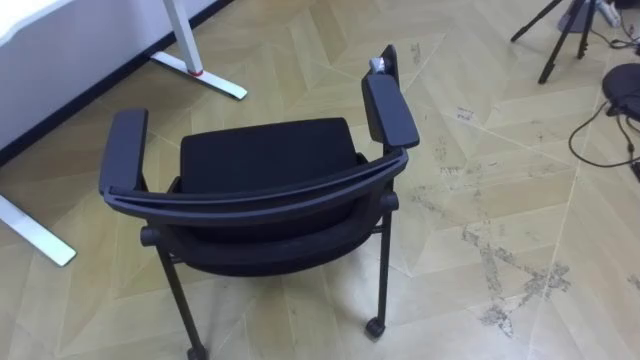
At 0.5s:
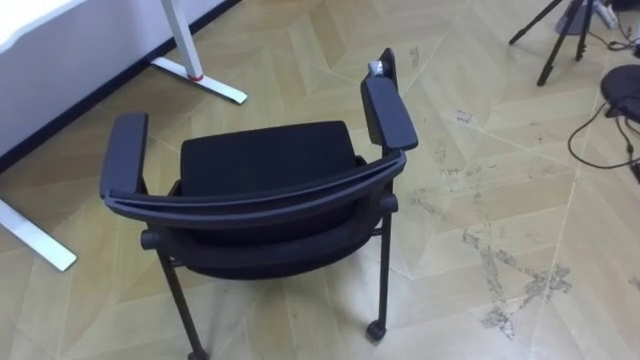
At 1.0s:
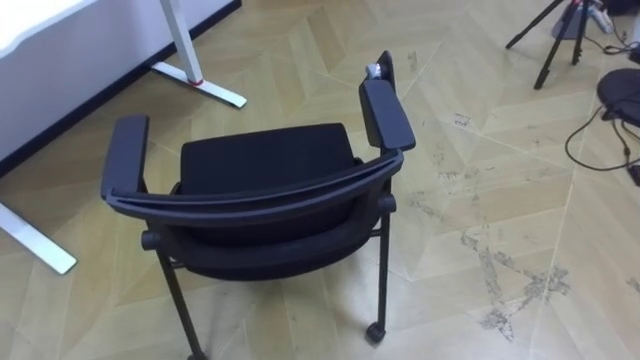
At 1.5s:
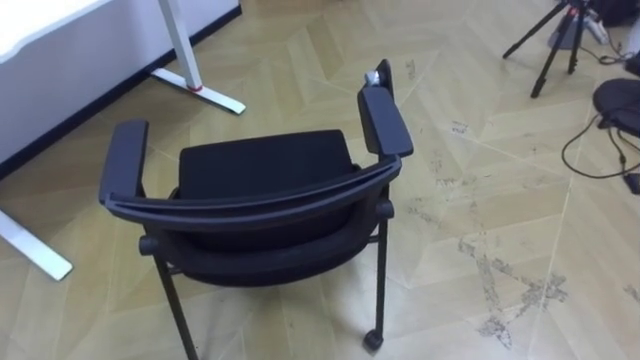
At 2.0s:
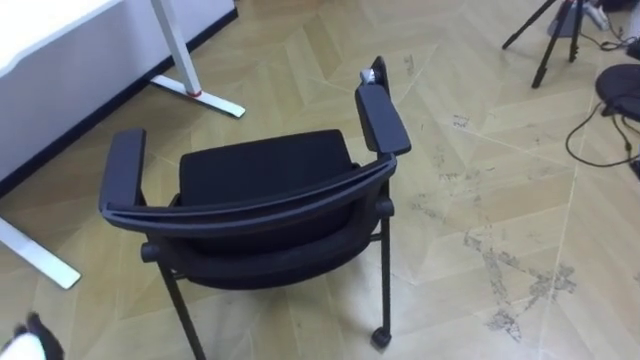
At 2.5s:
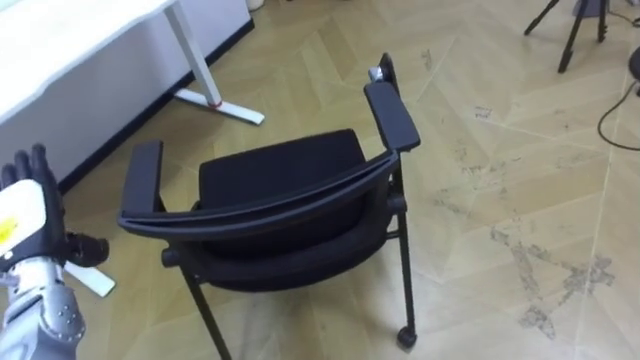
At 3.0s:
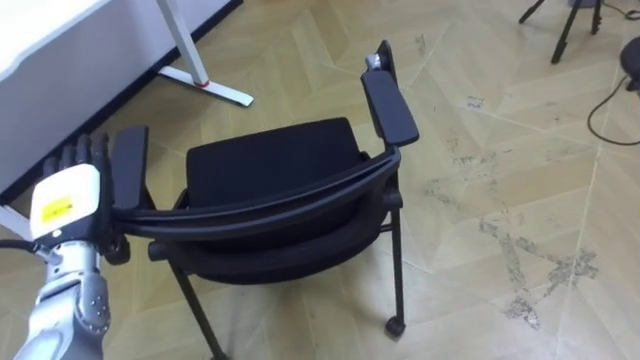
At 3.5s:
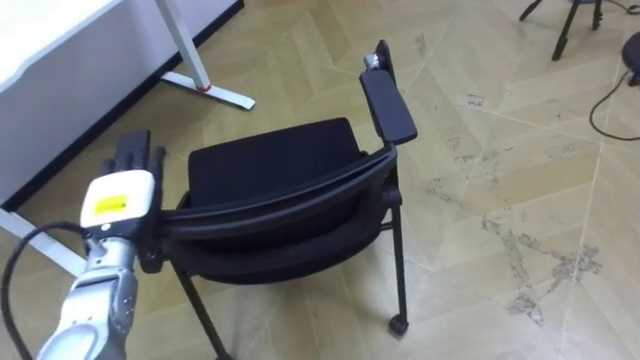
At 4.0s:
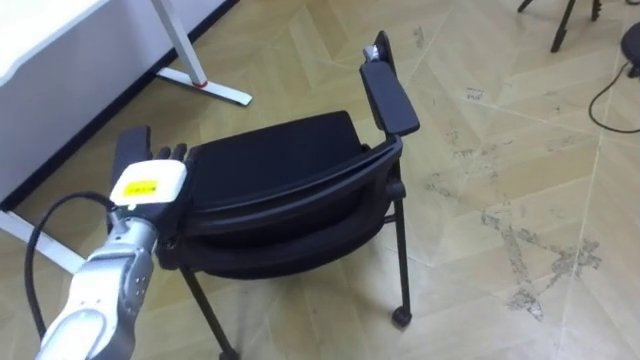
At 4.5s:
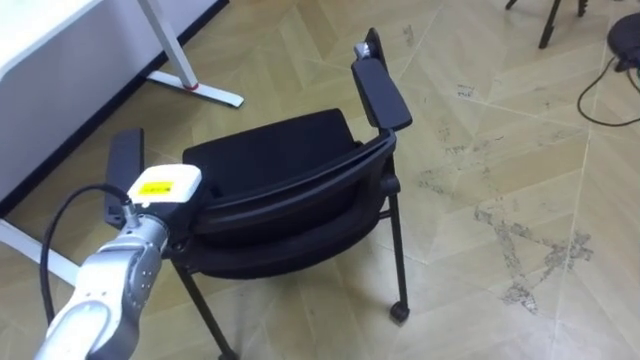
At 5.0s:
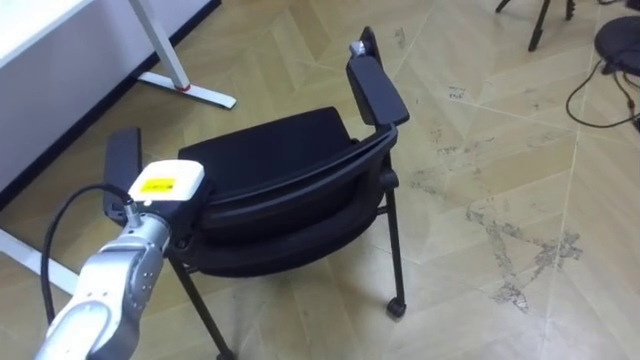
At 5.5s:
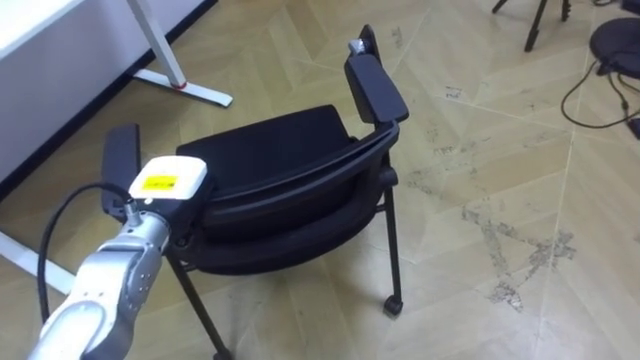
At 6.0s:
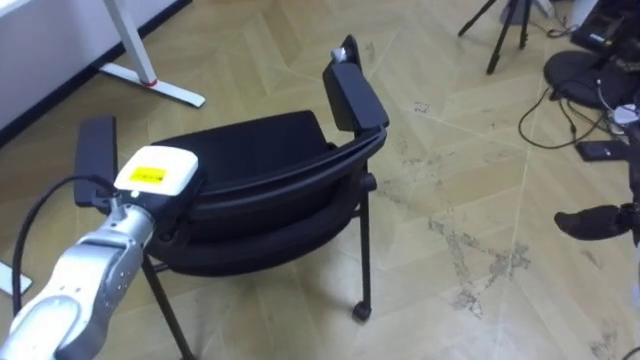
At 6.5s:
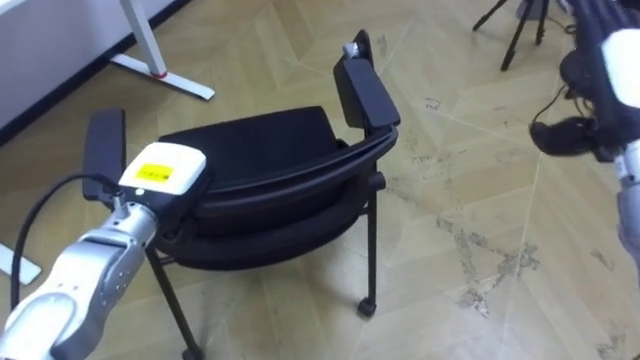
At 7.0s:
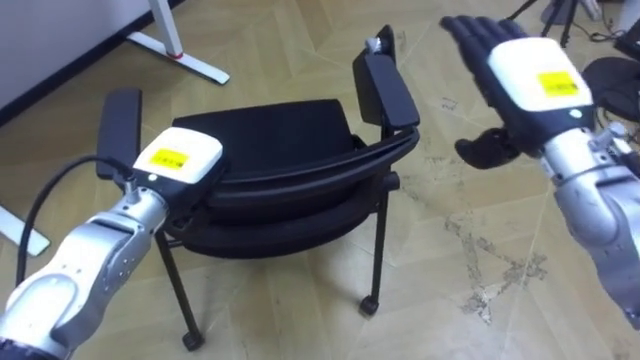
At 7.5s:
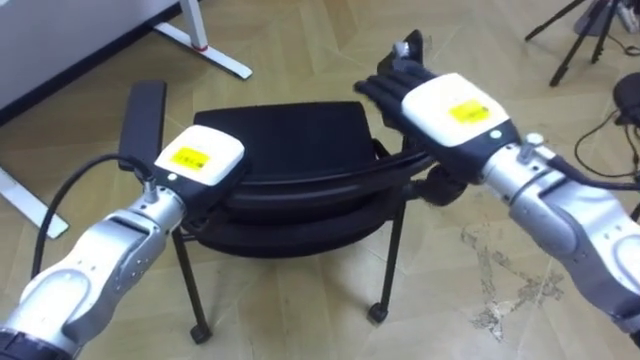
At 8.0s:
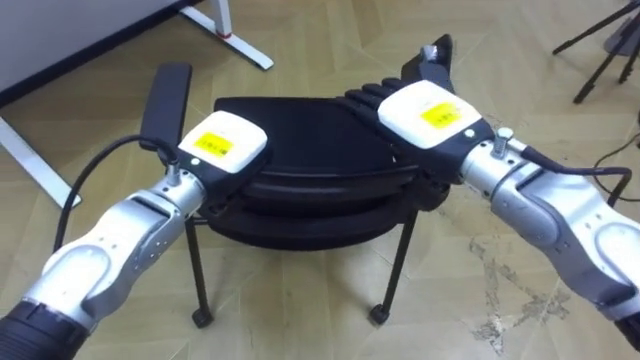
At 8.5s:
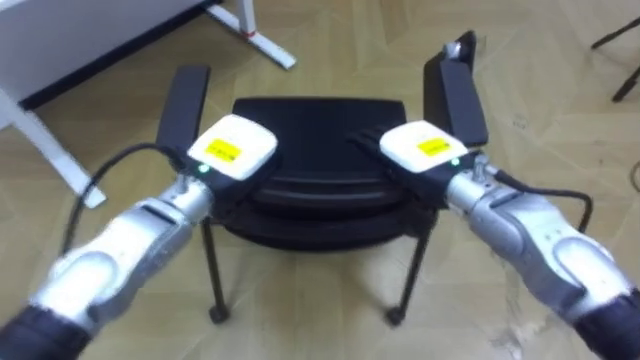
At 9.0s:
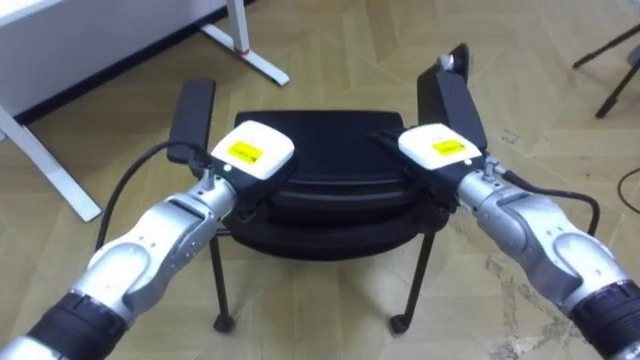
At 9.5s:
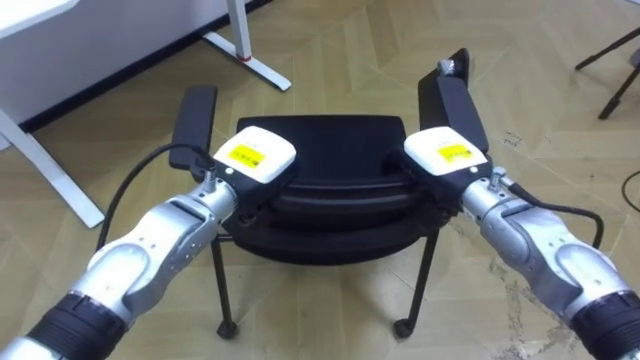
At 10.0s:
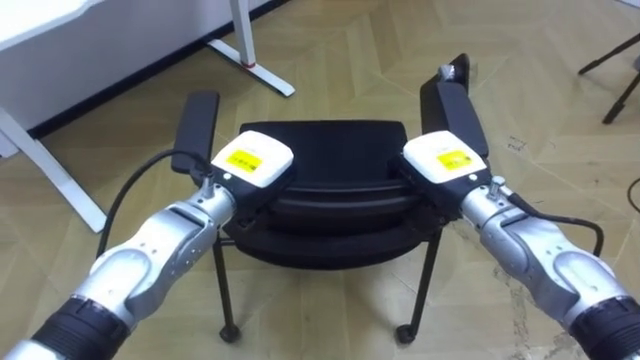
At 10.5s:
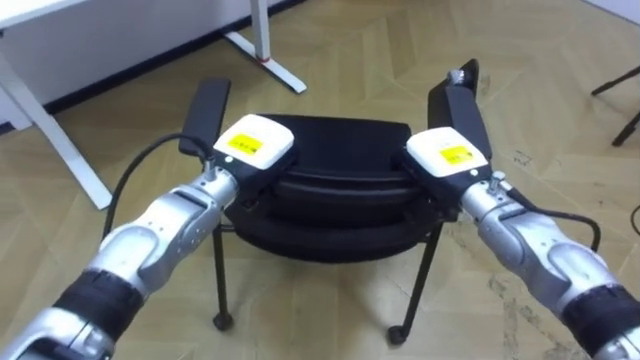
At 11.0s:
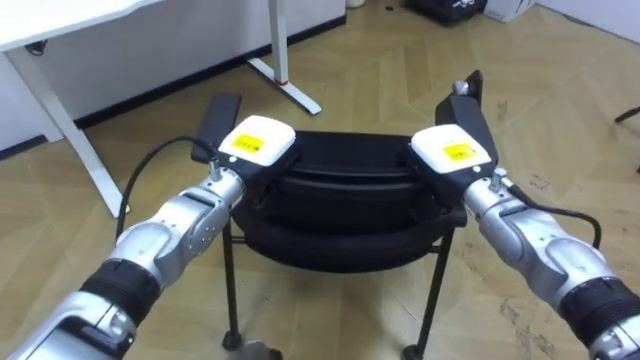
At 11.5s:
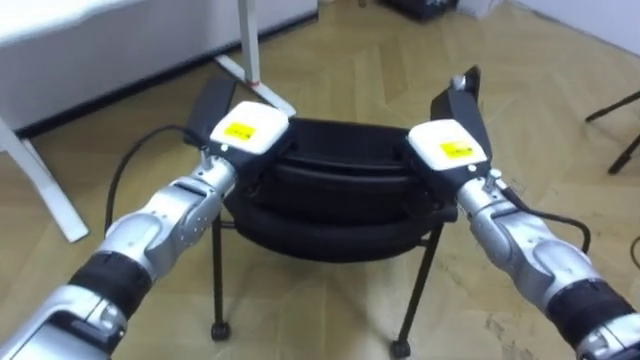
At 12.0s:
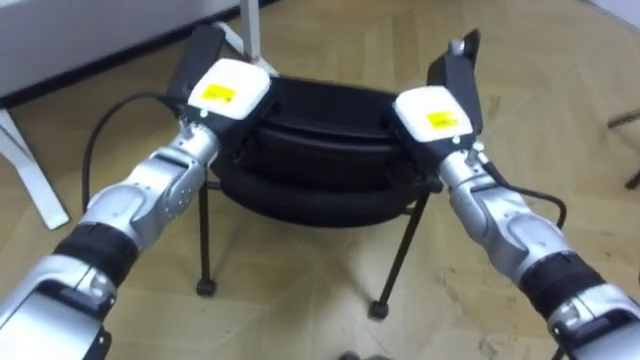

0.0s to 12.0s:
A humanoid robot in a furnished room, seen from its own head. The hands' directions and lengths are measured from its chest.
Task of the whole recording: Push the chair under the table.
4.0s to 6.0s: The left hand closes its fingers.
6.0s to 8.0s: The left hand is displaced to the right by about 10 cm.
8.0s to 10.0s: The right hand heads downward, covering some 10 cm, and closes.
10.0s to 12.0s: The right hand changes place by roughly 5 cm. Meanwhile the left hand is displaced forward by about 5 cm.

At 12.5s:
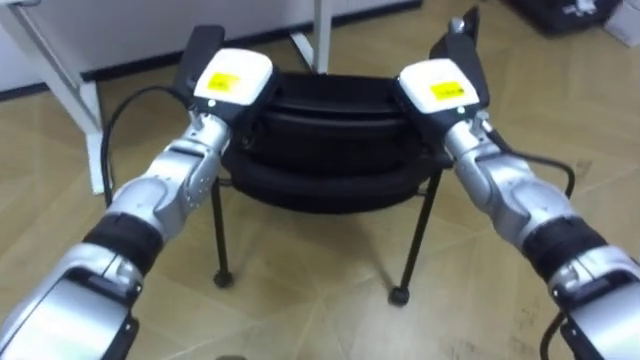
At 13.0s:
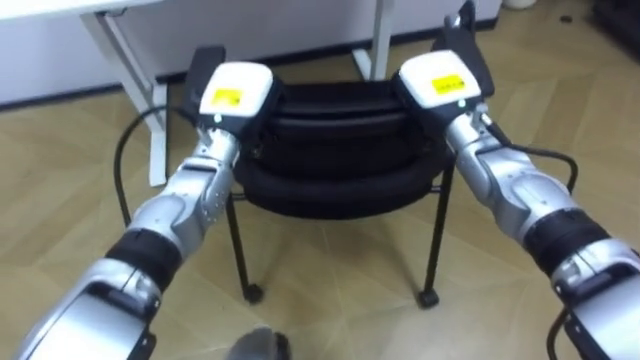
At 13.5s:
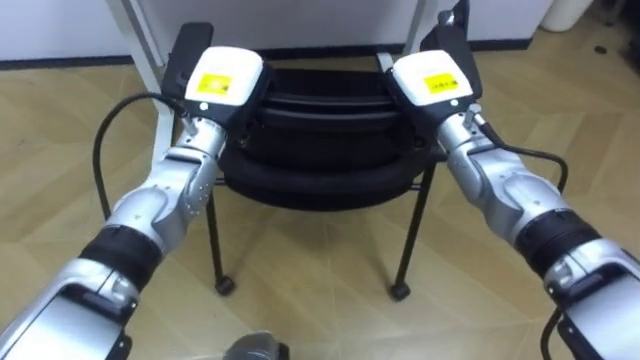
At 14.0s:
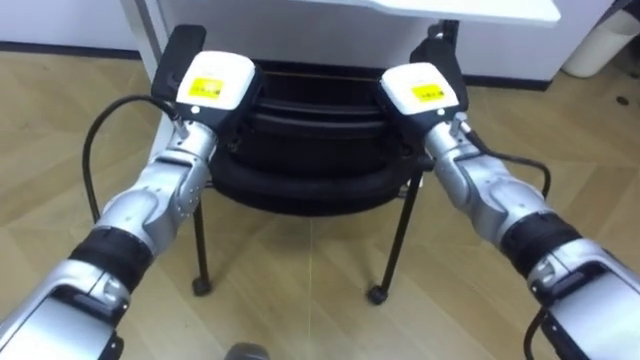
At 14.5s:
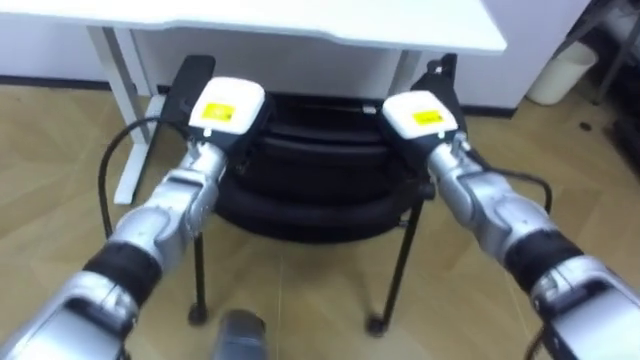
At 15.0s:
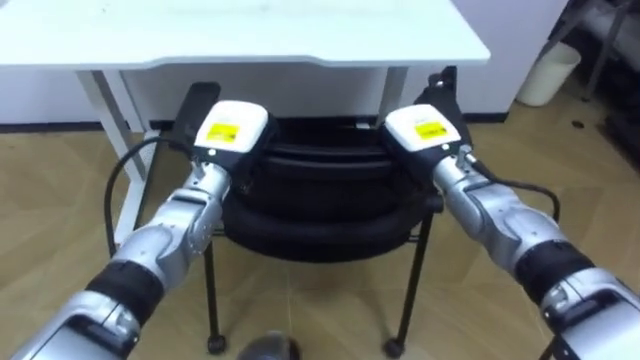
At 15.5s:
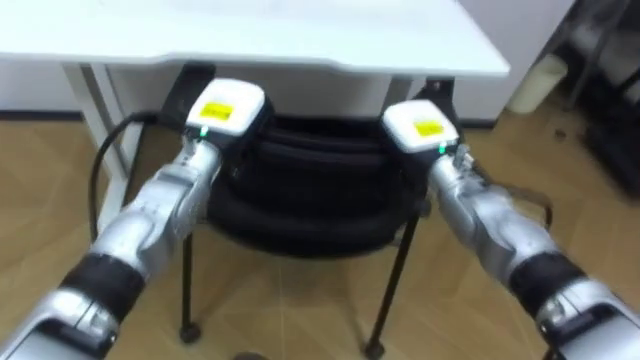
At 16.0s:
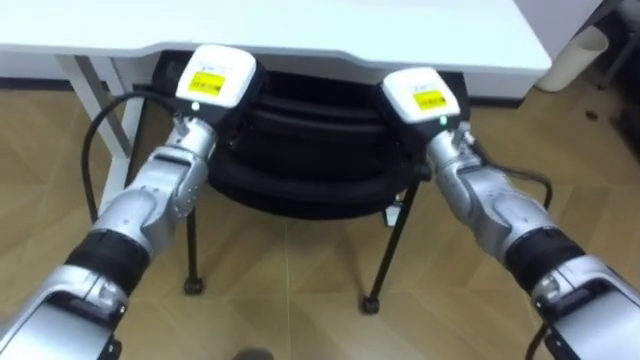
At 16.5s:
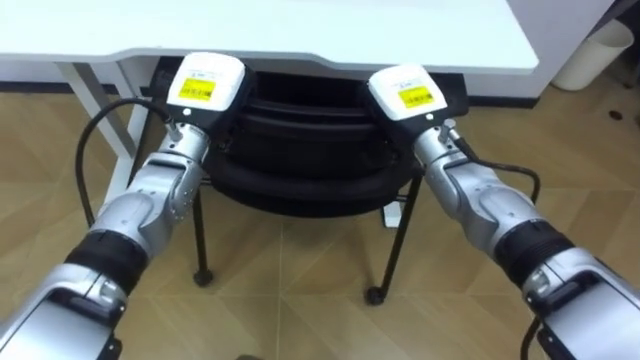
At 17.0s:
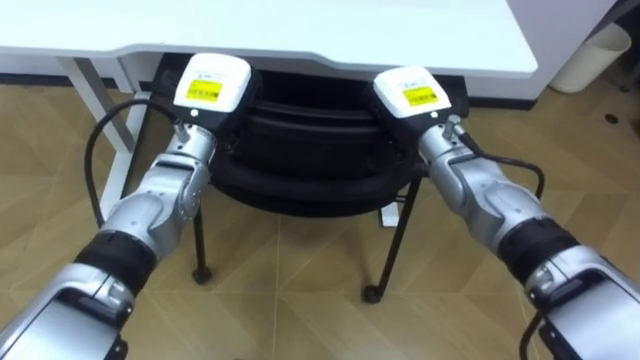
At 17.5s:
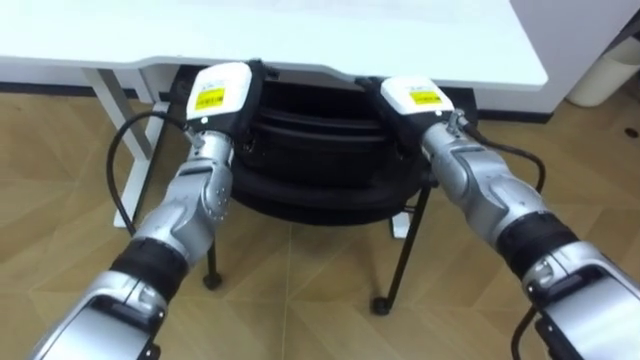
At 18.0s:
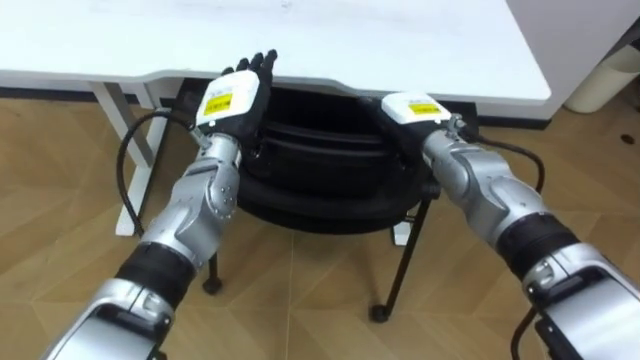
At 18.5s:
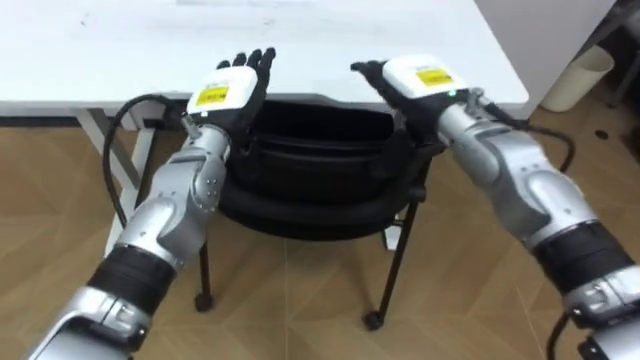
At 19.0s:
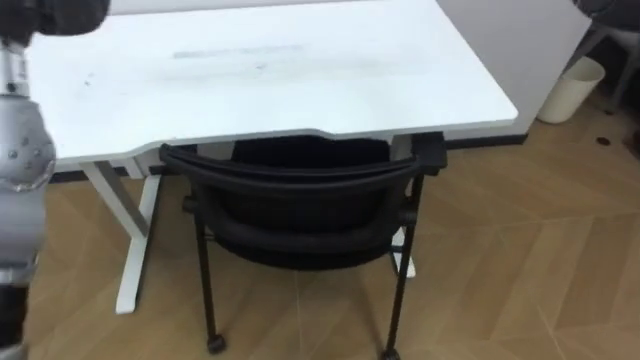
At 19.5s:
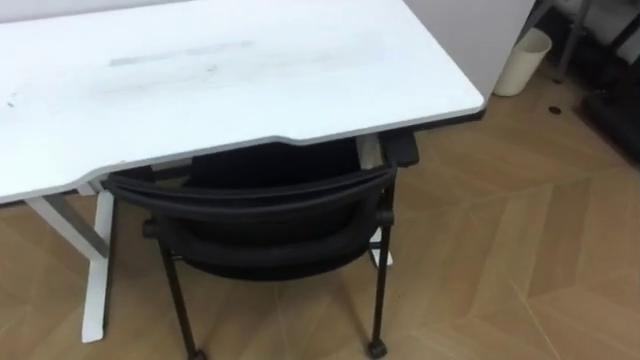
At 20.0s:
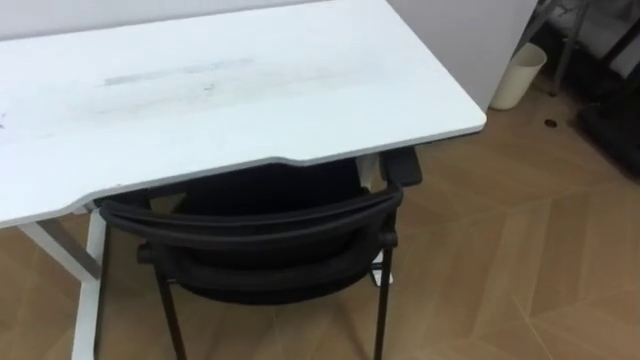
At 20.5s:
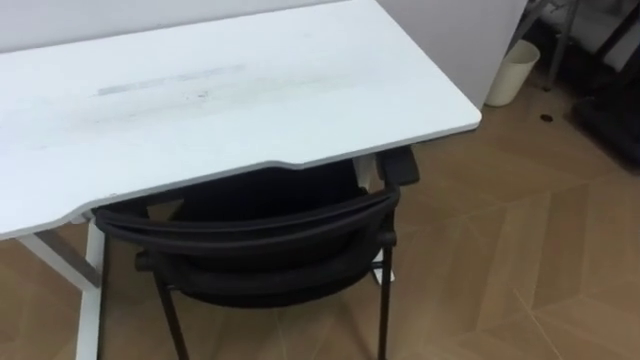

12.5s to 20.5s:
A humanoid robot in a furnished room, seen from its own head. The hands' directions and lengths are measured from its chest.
Task of the whole recording: Push the chair under the table.
16.5s to 18.5s: The right hand opens its fingers. Meanwhile the left hand opens.
